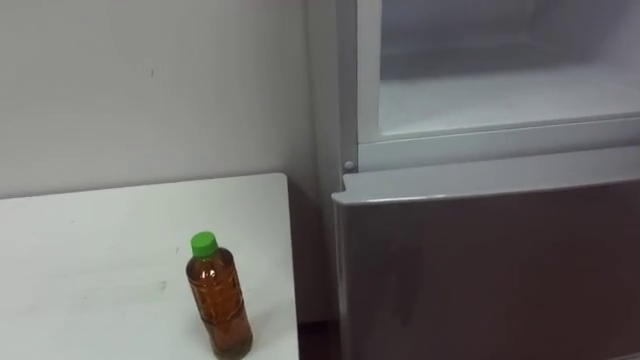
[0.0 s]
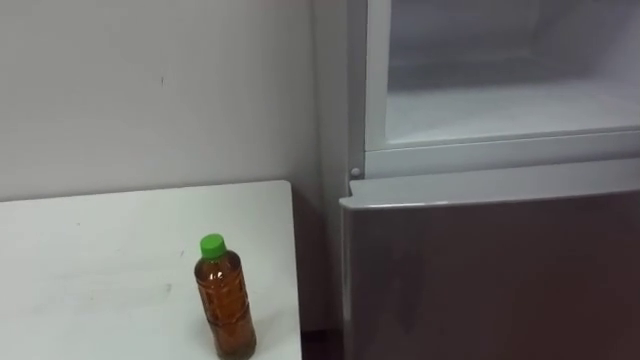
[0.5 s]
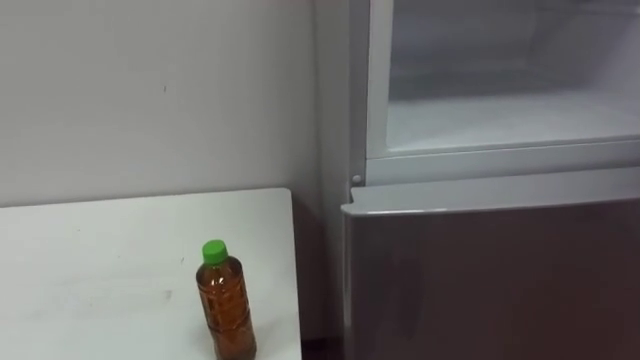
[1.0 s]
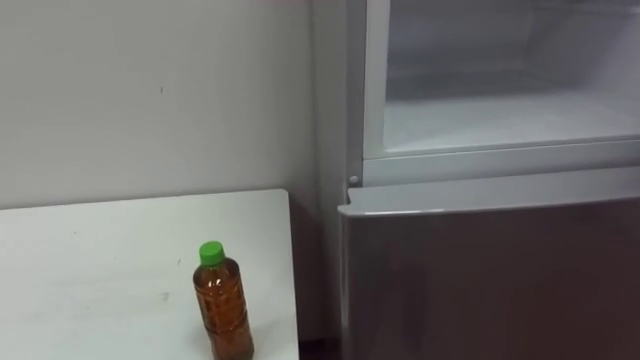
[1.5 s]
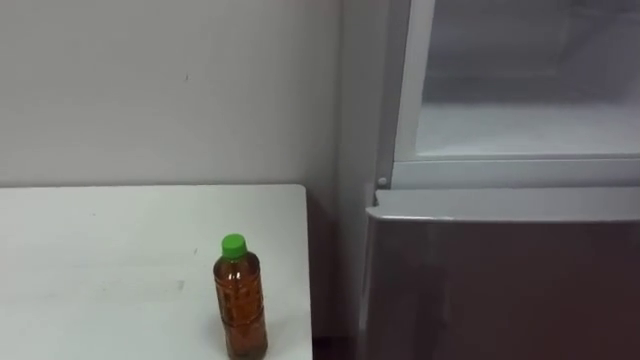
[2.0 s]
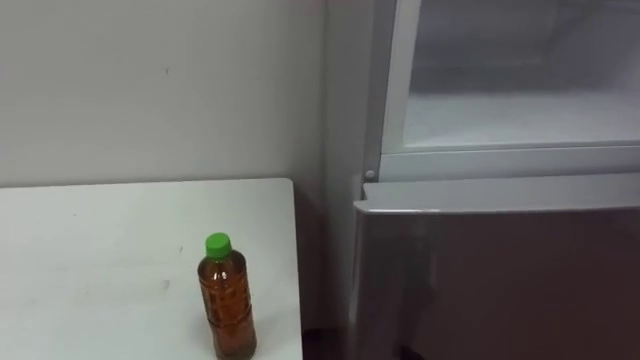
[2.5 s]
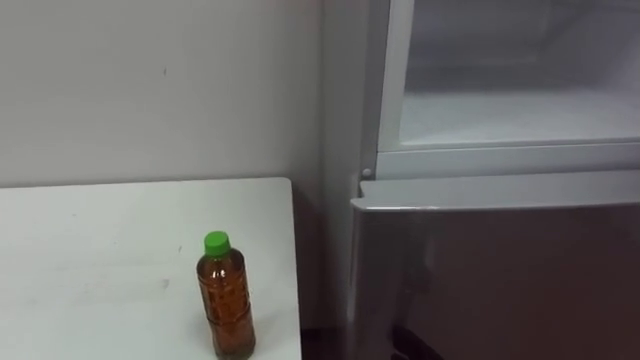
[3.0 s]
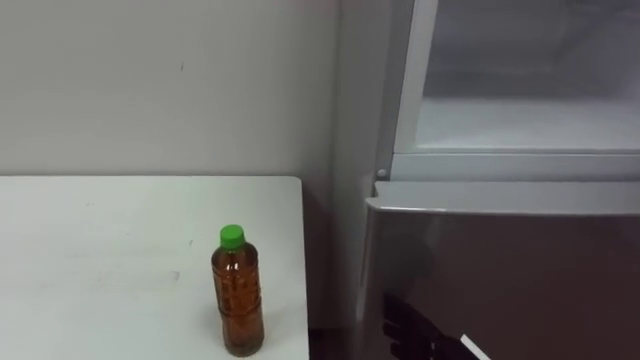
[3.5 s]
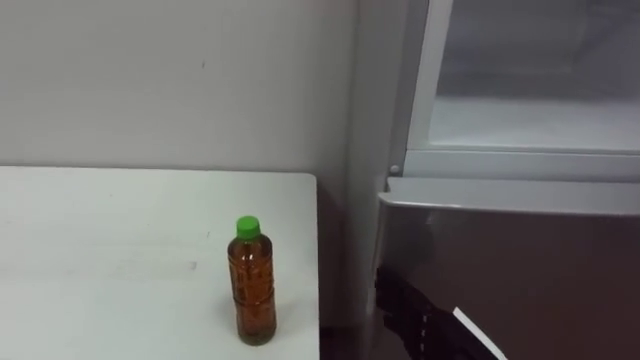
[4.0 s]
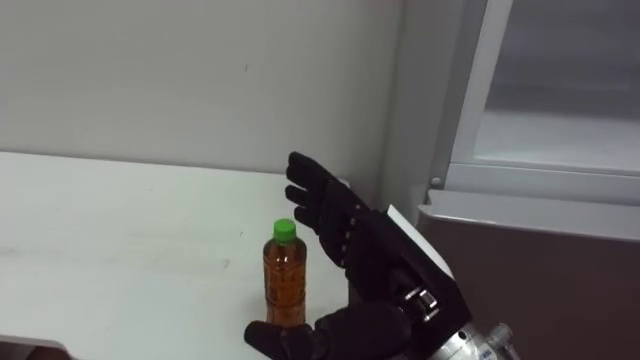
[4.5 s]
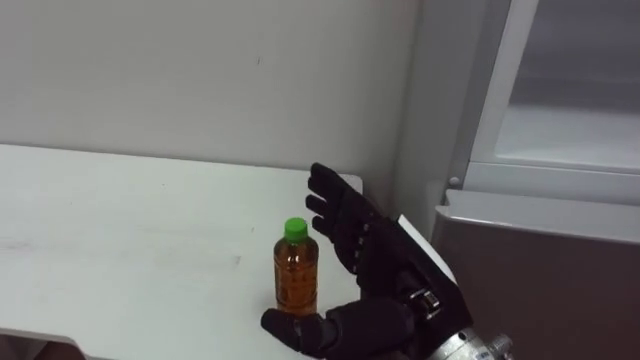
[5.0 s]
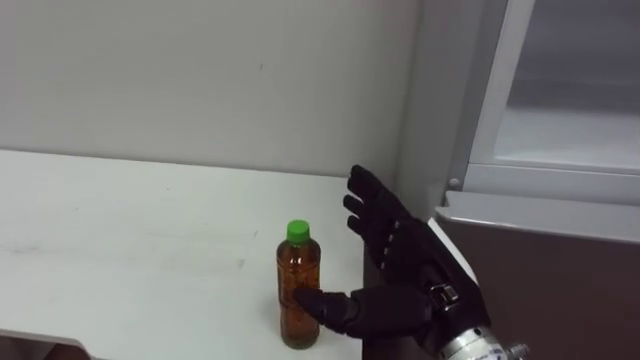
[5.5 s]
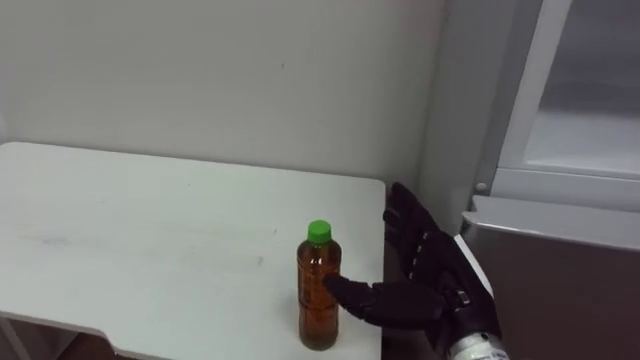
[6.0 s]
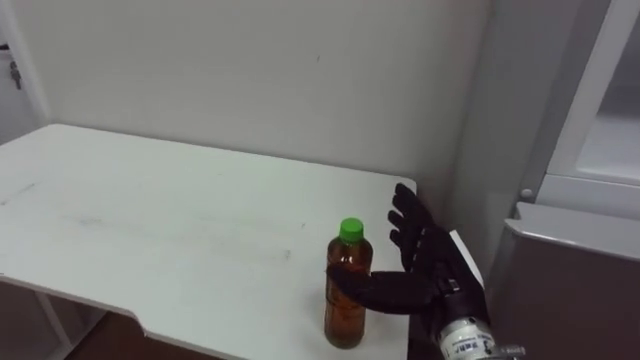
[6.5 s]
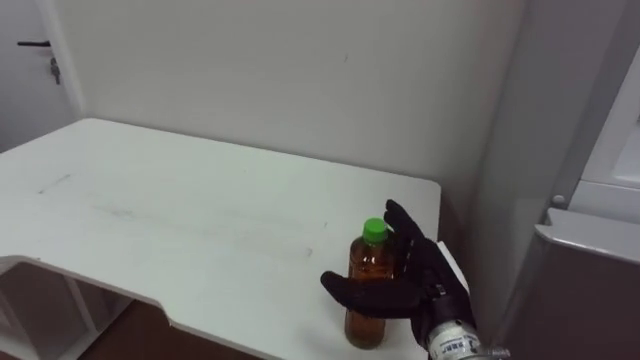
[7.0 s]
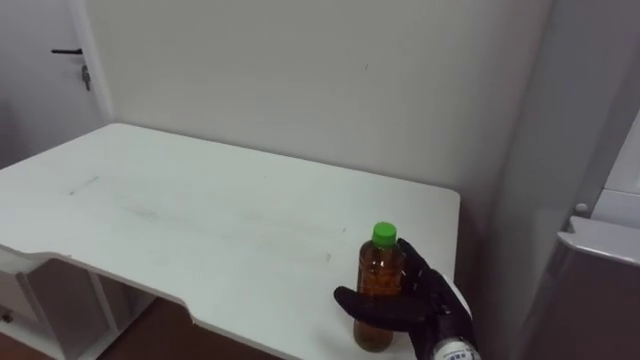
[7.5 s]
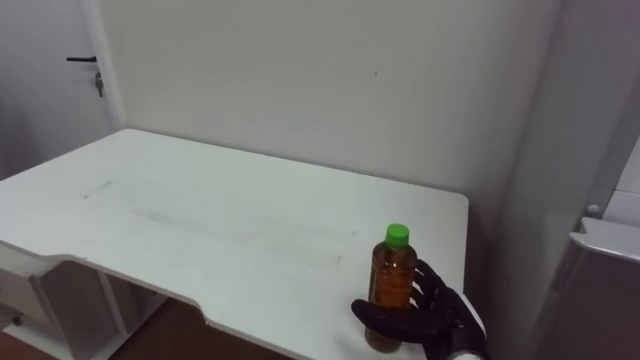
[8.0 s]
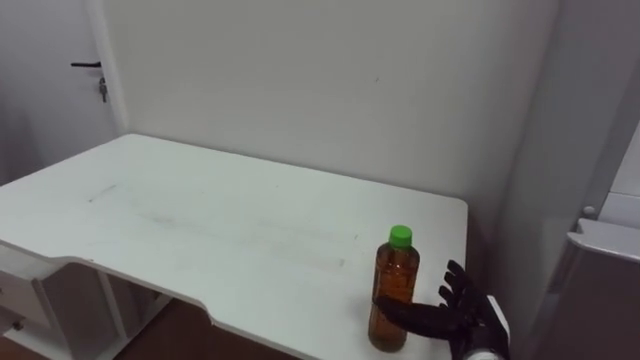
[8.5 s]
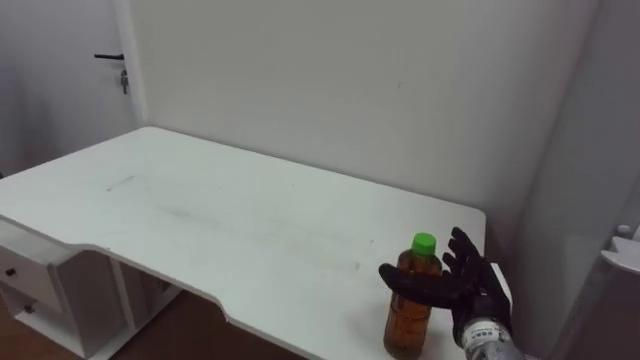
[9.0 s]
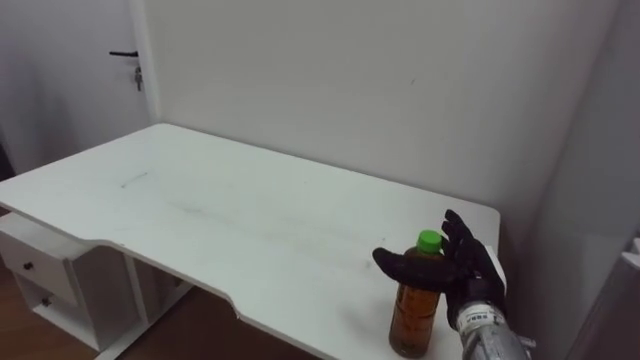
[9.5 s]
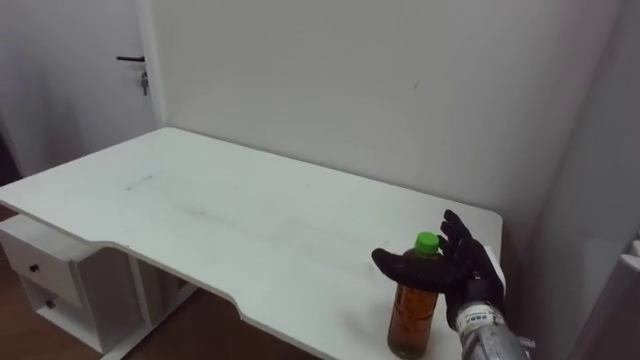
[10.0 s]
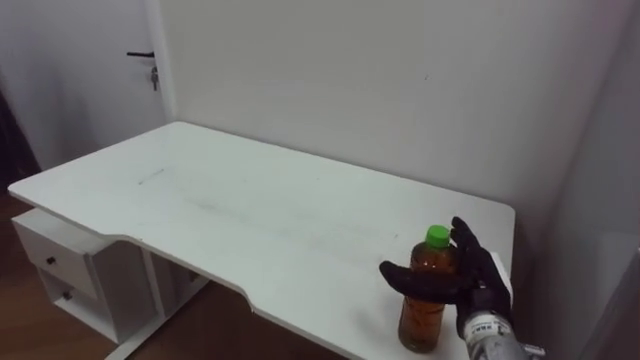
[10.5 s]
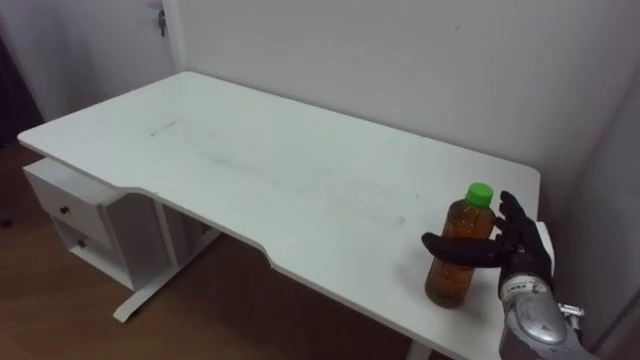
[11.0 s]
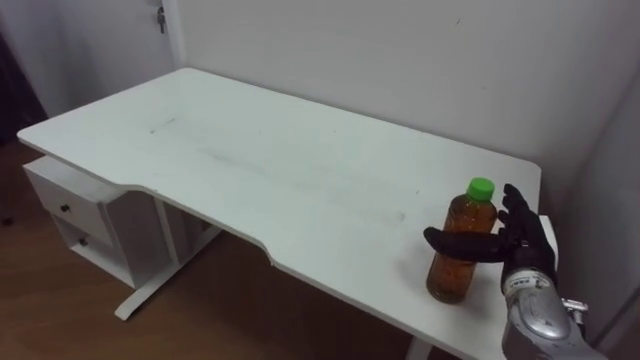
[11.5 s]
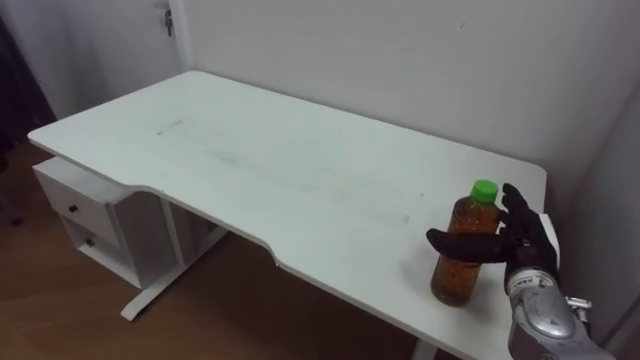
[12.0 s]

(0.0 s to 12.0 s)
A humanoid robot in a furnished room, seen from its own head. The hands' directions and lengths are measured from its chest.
Task of the whole recording: Open the upper refrigerator door, put the drink from the table into the refrigerator, and then close the refrigerator door.
4.0 s - 6.0 s: The right hand heads upward, covering approximately 5 cm.
6.0 s - 8.0 s: The right hand moves downward, some 10 cm.
8.0 s - 10.0 s: The right hand goes some 5 cm upward.
10.0 s - 12.0 s: The right hand goes some 5 cm to the right.

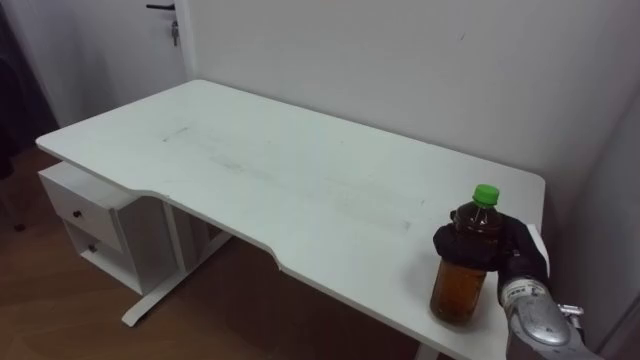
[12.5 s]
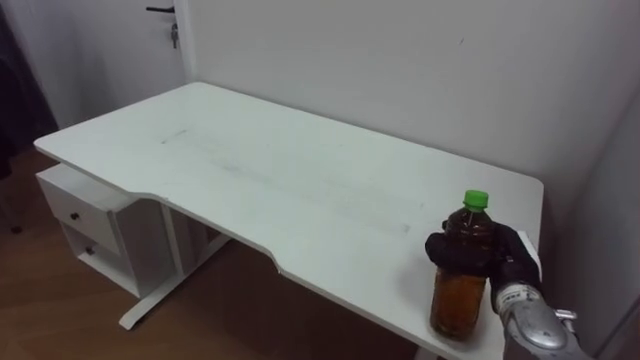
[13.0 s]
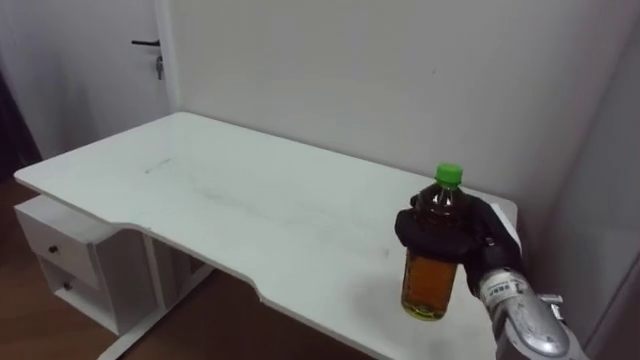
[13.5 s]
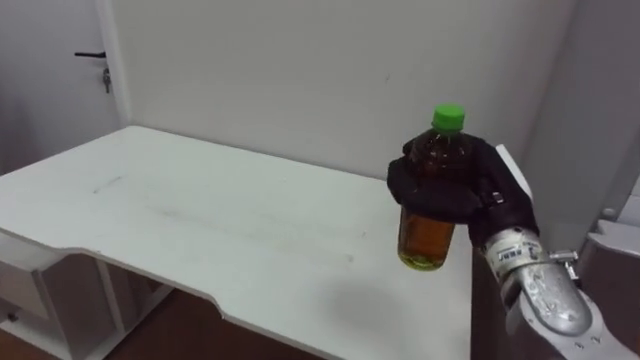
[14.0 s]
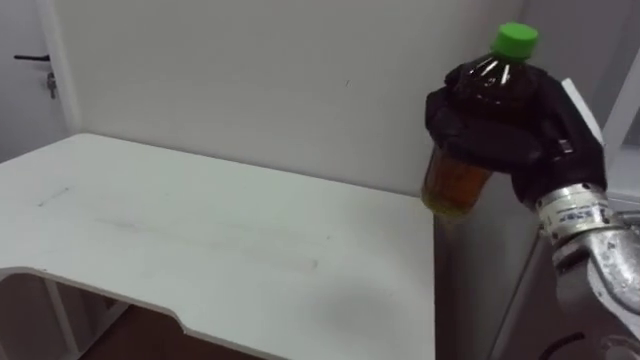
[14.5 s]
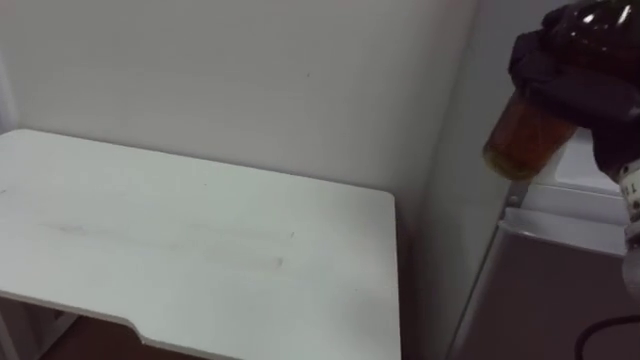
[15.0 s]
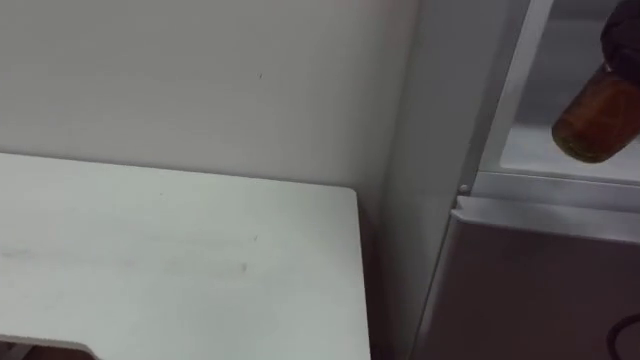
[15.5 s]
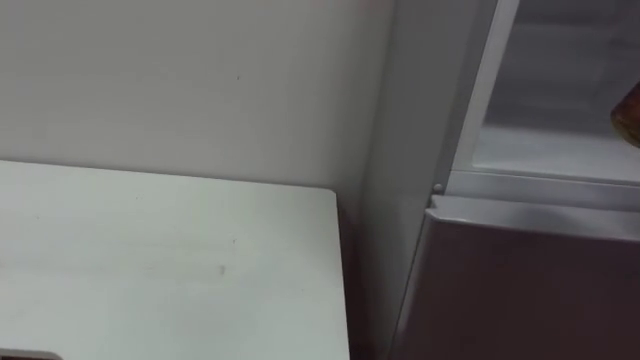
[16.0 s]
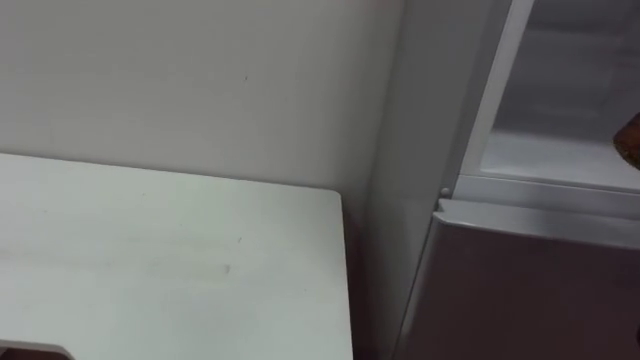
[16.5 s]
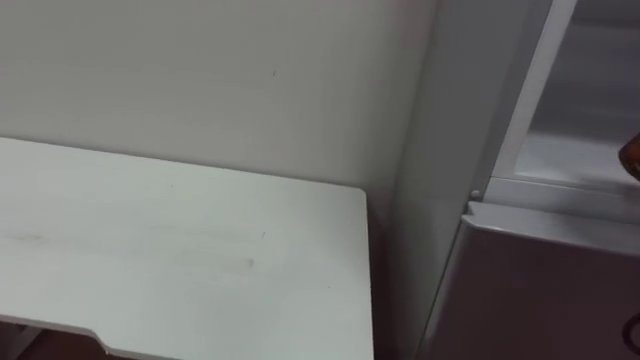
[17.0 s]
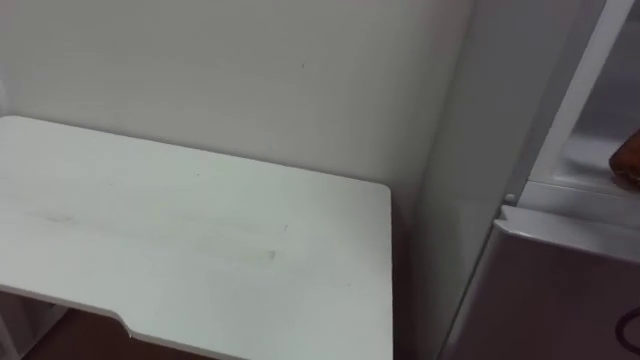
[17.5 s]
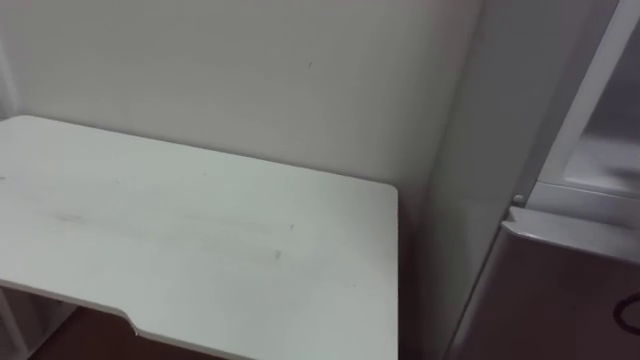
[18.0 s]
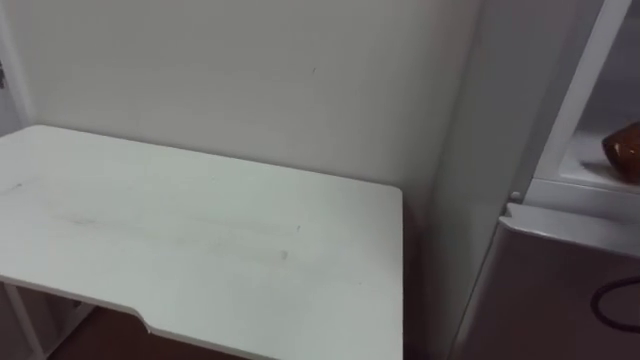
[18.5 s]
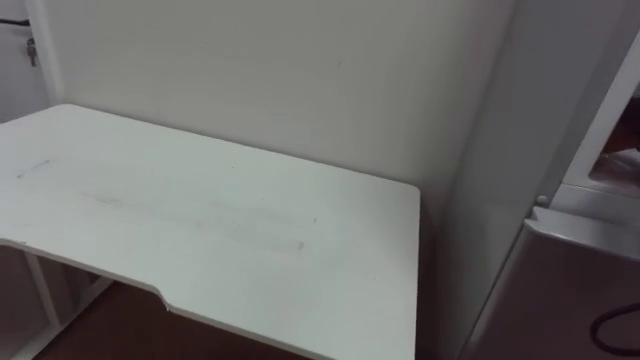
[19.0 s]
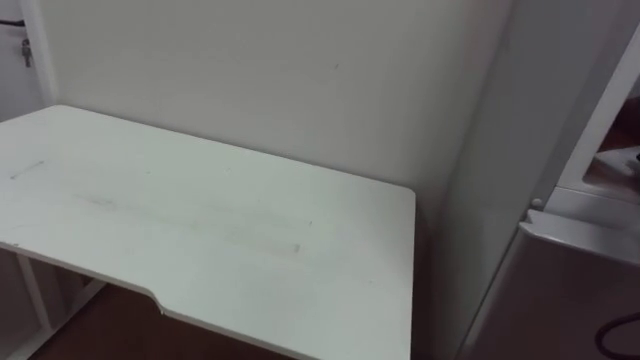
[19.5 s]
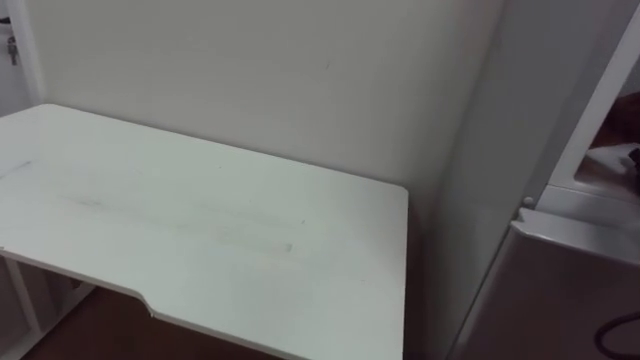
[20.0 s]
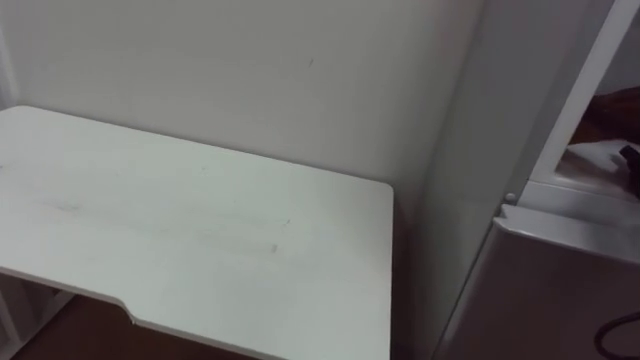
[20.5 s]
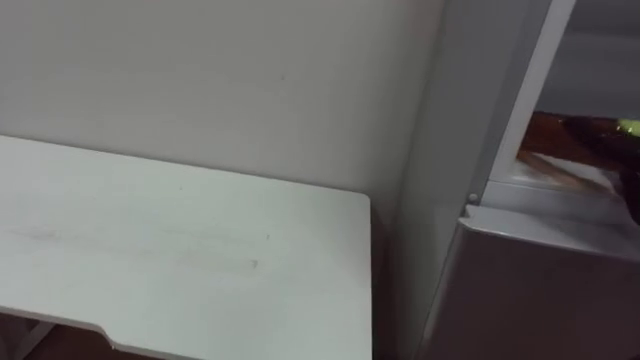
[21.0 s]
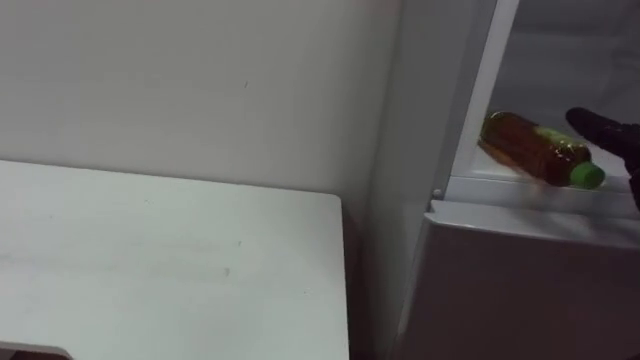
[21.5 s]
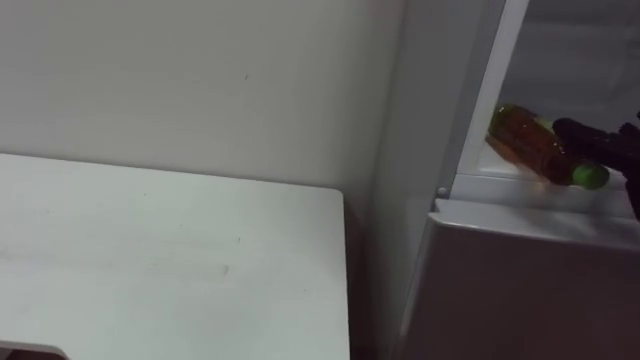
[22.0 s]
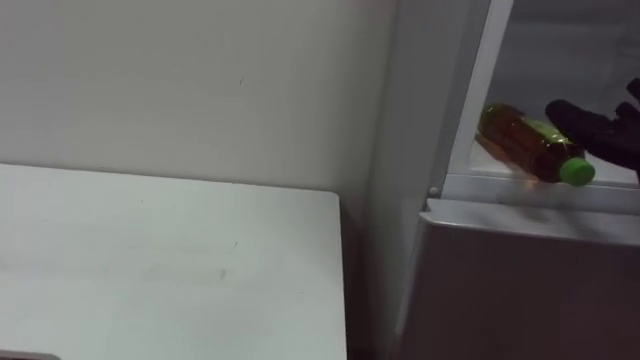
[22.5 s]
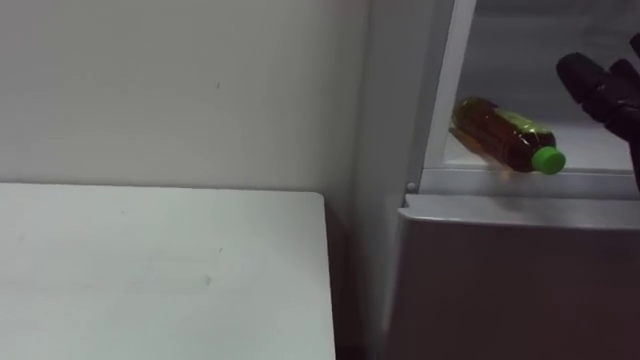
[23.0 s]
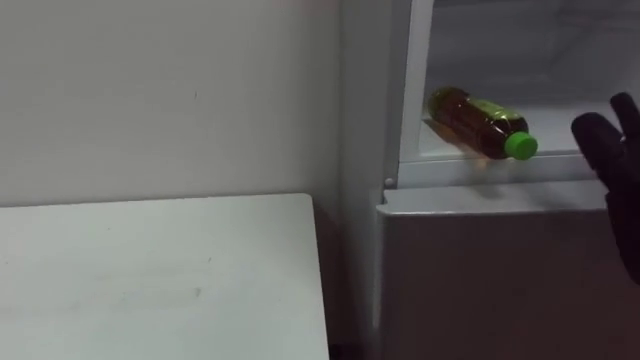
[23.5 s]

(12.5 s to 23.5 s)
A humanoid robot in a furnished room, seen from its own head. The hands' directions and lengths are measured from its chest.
Task of the whole recording: Open the upper refrigerator door, put the drink from the table into the refrigerator, and then close the refrigerator door.
12.5 s - 14.5 s: The right hand moves upward, some 20 cm.
